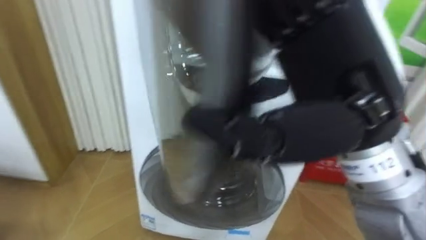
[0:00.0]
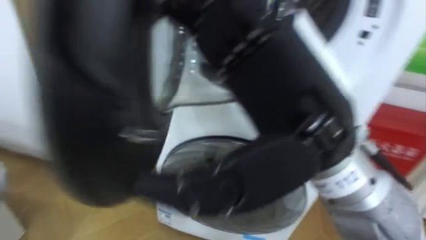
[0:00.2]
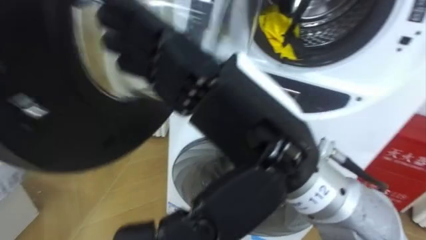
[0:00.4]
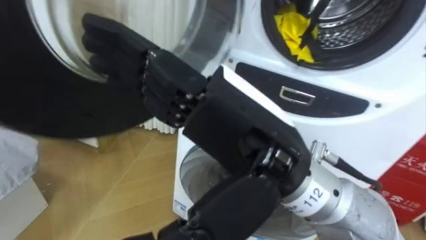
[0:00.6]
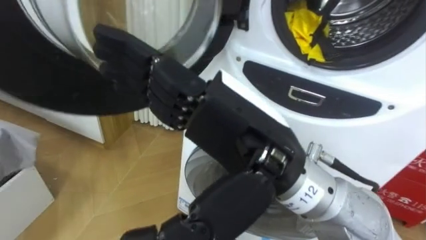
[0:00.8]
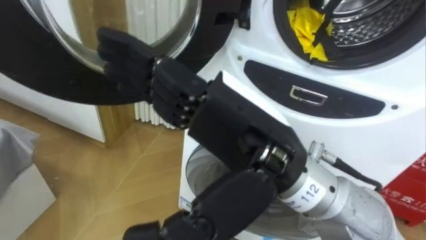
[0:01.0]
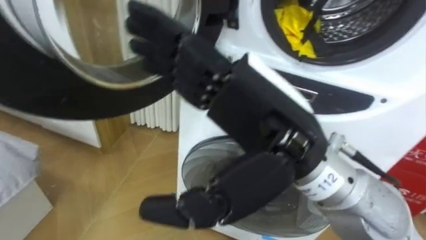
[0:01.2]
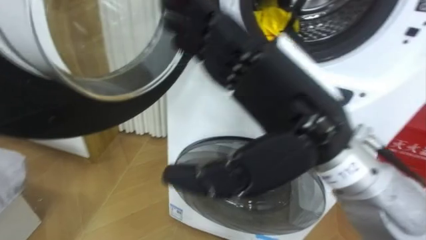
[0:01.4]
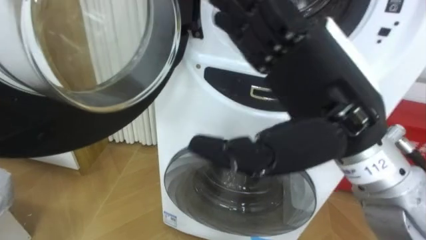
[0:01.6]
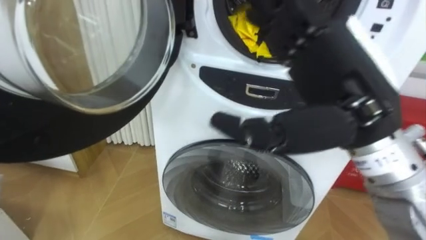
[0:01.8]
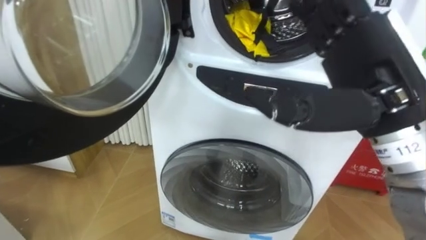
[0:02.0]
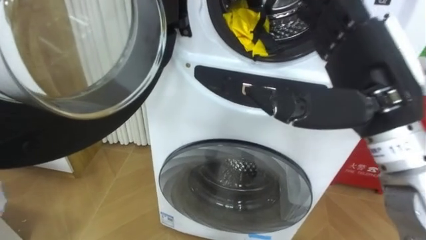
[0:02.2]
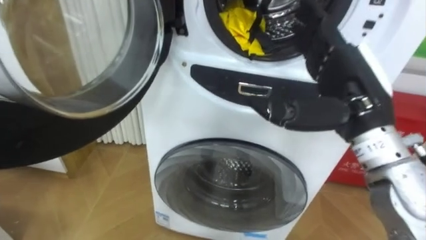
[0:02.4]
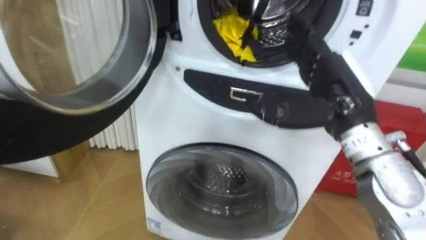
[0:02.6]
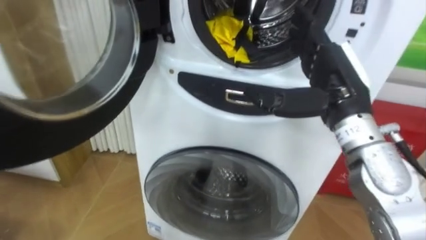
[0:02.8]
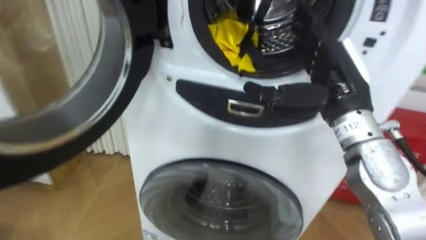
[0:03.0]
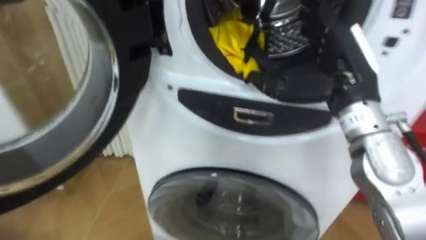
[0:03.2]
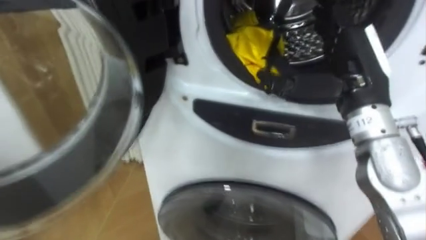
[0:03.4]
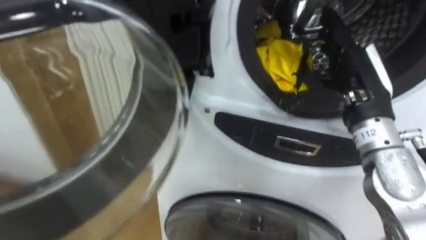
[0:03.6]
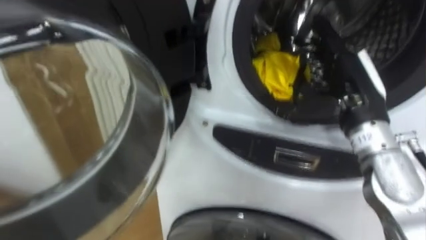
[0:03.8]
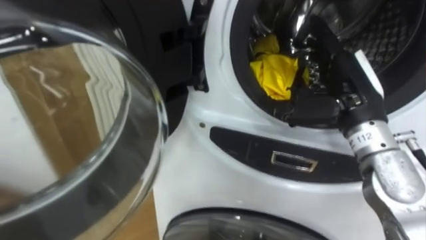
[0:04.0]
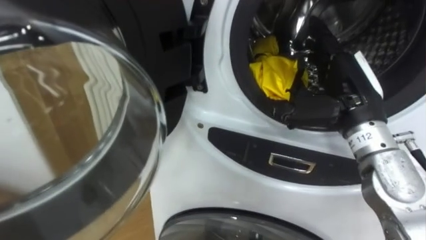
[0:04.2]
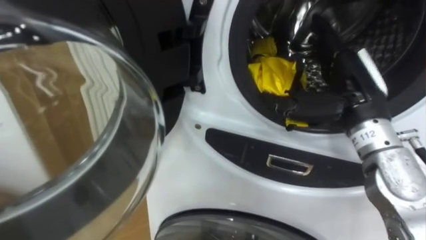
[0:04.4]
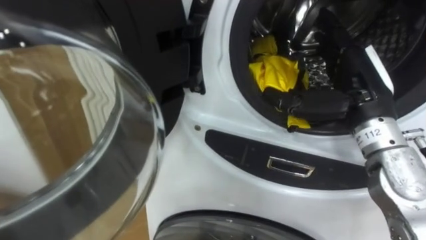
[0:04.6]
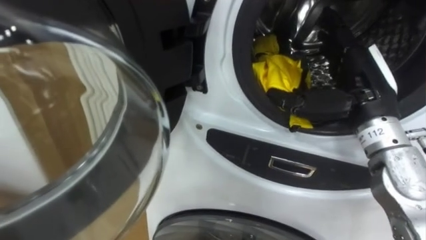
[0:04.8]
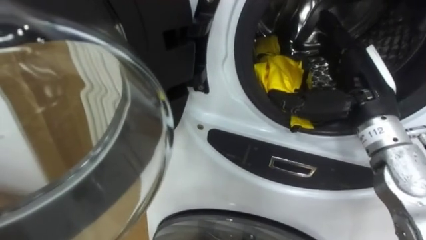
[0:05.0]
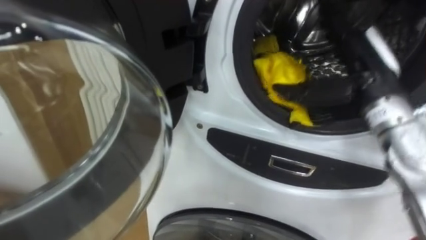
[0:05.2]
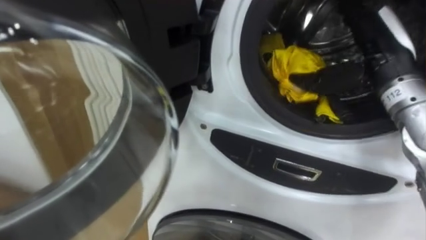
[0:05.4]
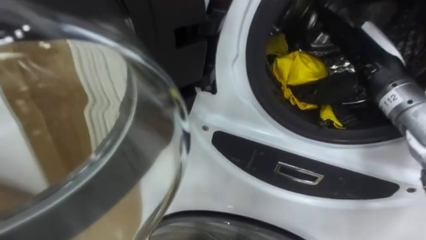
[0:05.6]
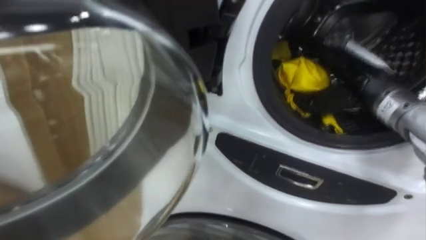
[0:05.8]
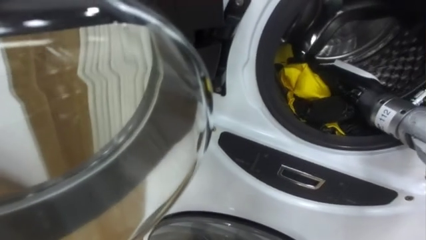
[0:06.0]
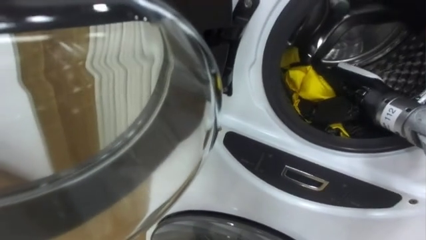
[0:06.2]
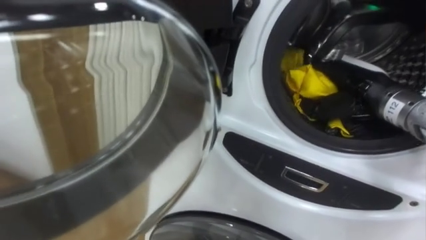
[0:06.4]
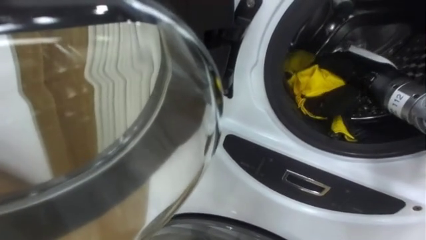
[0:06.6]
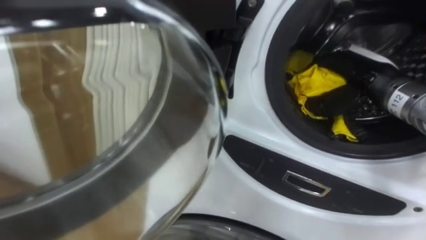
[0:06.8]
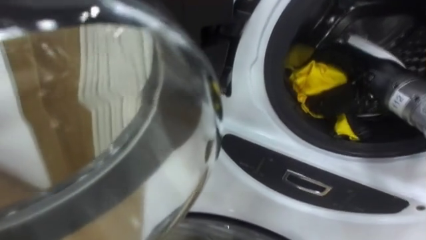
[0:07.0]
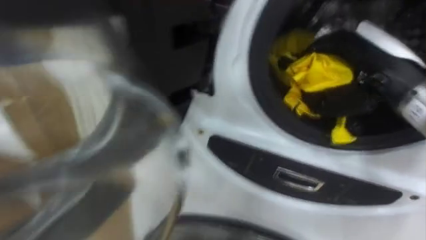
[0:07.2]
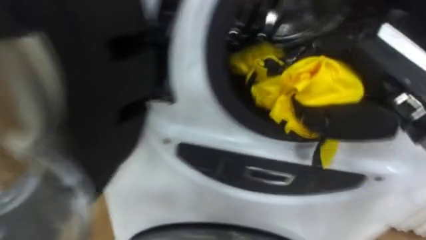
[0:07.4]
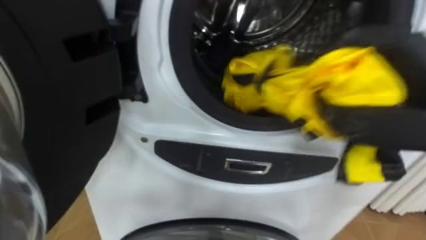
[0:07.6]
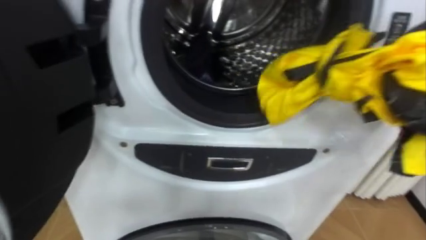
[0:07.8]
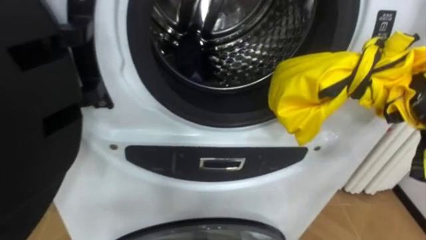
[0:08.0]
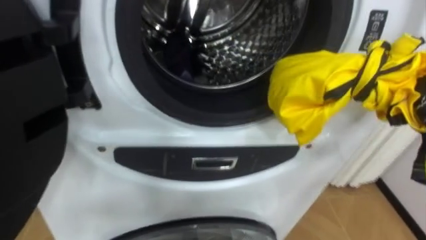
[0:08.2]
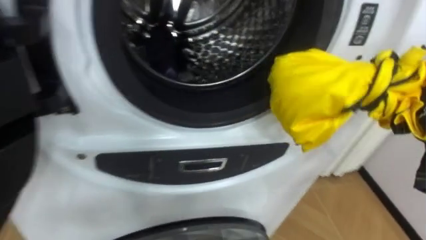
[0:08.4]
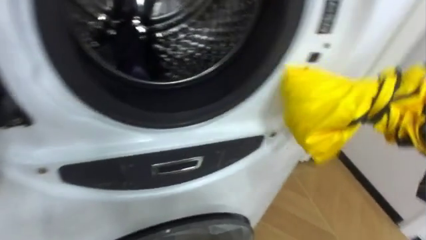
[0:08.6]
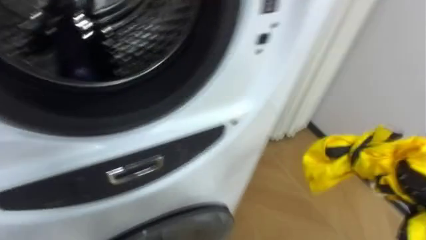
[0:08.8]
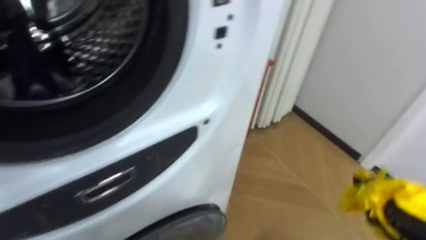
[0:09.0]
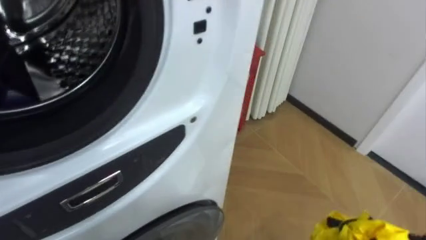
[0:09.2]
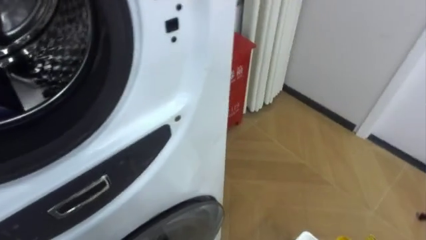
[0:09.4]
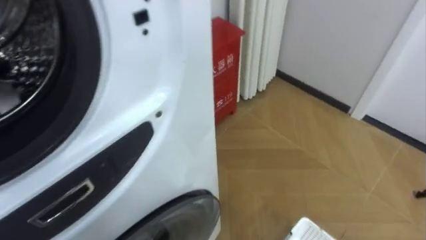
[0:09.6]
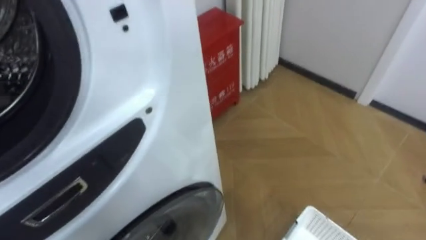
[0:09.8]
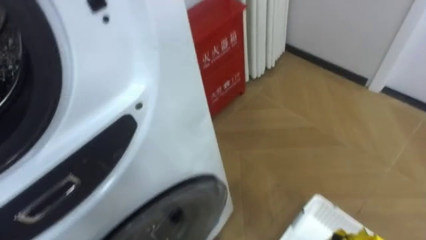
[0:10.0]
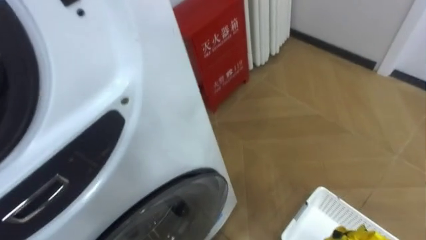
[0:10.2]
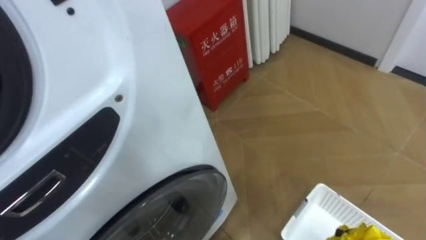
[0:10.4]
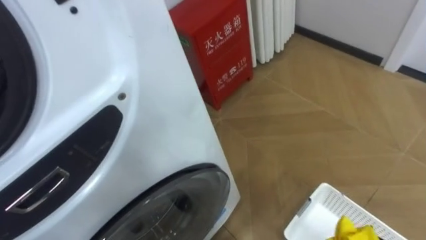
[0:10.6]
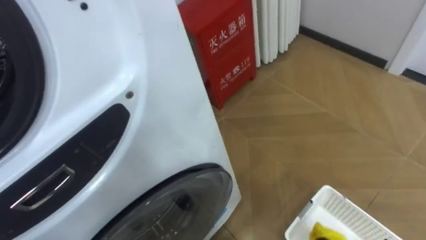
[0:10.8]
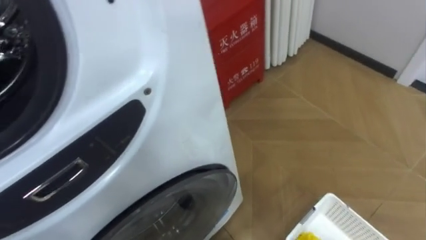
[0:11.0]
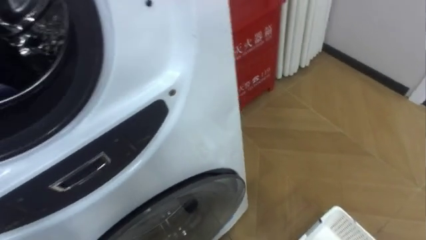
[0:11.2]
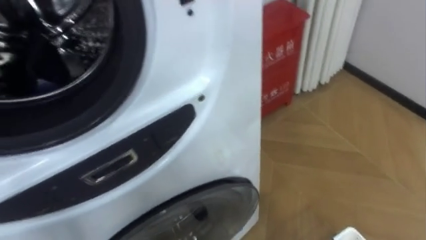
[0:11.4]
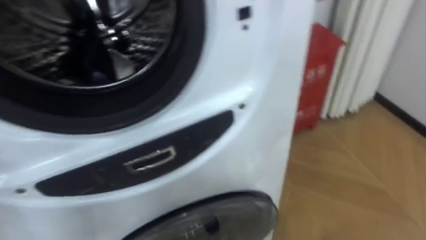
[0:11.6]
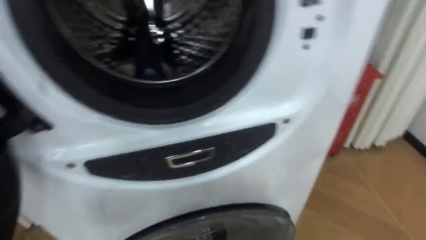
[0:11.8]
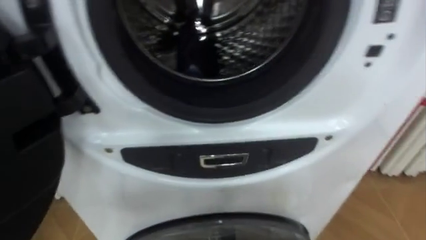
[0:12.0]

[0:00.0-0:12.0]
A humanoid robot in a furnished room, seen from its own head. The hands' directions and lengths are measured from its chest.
Task of the whole recording: Open the washing machine door, take out the yellow clothes, place them in the box on the right, and close the washing machine door.
0:00.0 to 0:01.6: The right hand travels to the left and back again, some 10 cm each way.
0:01.6 to 0:03.0: The right hand heads forward, to the right and downward, covering approximately 15 cm.
0:04.4 to 0:06.0: The right hand moves about 5 cm.
0:06.0 to 0:07.6: The right hand heads backward and upward, covering about 15 cm, and closes up.
0:07.6 to 0:09.0: The robot faces about 25 degrees further to its right.
0:10.4 to 0:12.0: The robot faces approximately 25 degrees further to its left.

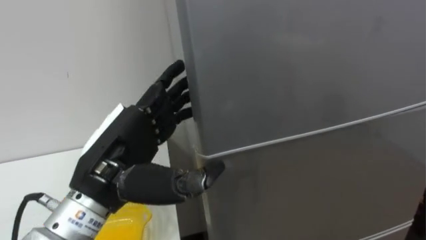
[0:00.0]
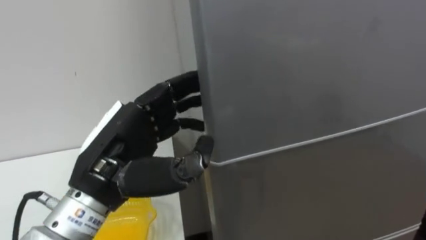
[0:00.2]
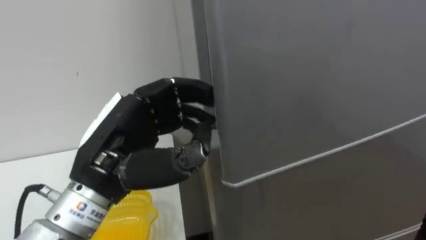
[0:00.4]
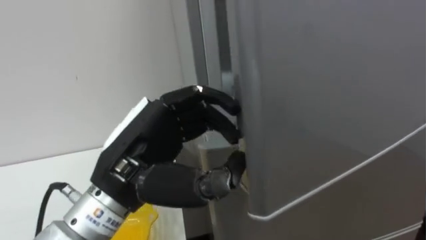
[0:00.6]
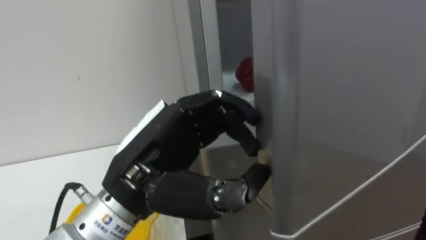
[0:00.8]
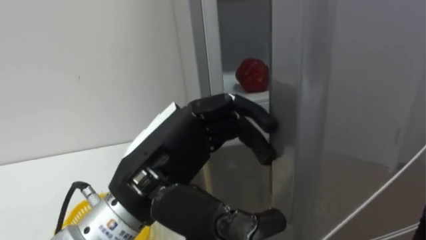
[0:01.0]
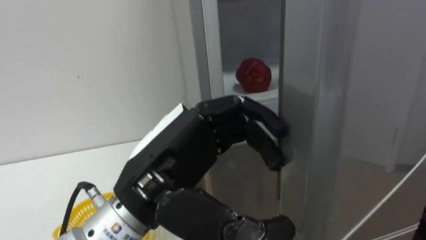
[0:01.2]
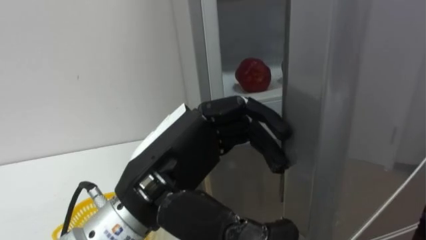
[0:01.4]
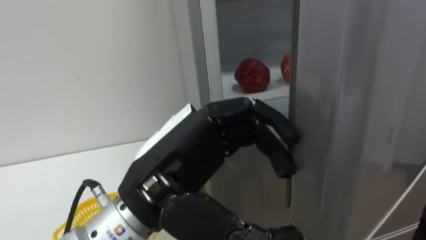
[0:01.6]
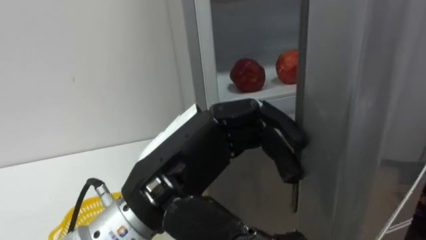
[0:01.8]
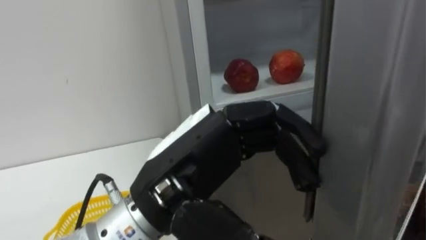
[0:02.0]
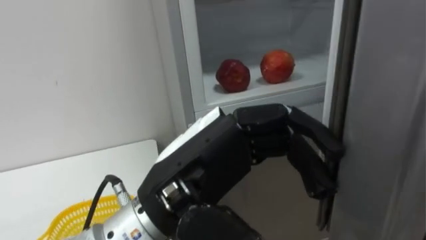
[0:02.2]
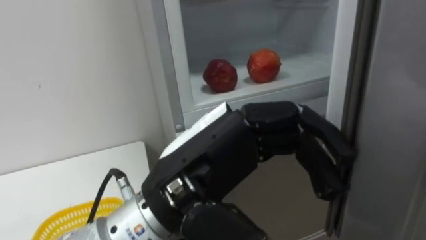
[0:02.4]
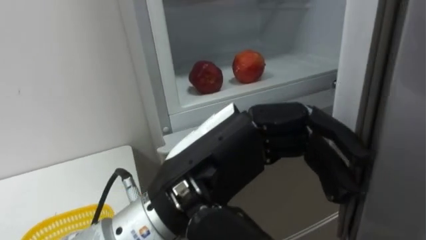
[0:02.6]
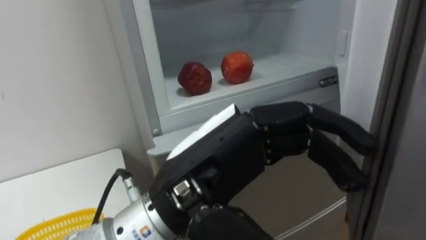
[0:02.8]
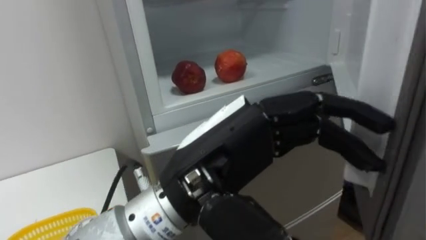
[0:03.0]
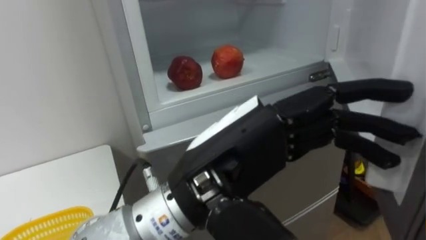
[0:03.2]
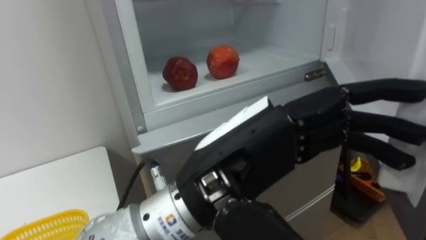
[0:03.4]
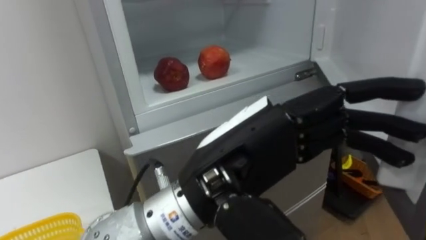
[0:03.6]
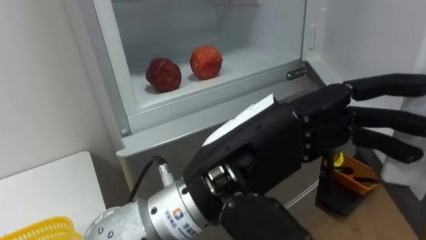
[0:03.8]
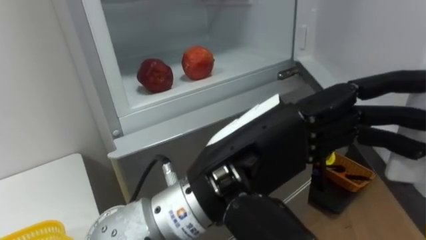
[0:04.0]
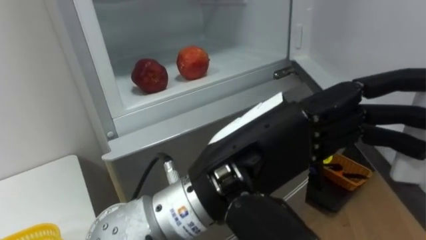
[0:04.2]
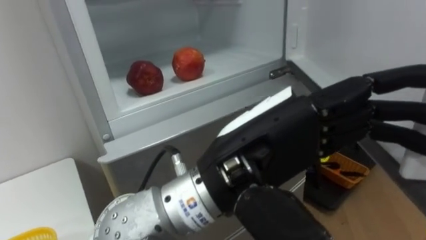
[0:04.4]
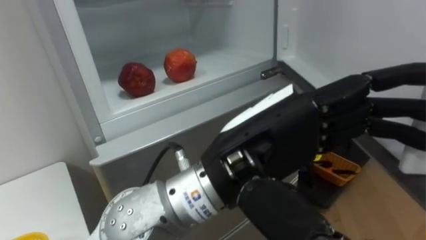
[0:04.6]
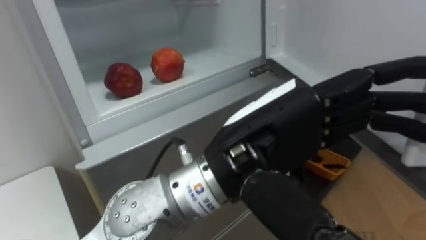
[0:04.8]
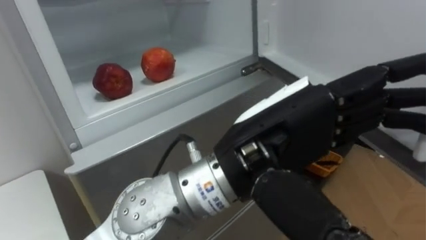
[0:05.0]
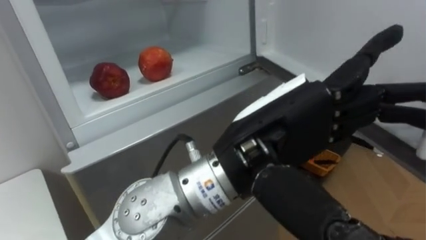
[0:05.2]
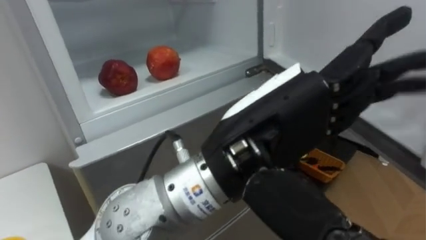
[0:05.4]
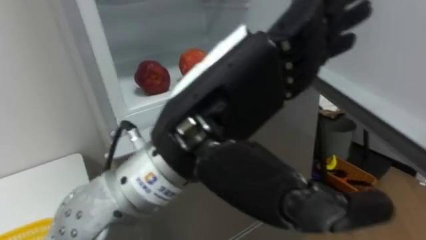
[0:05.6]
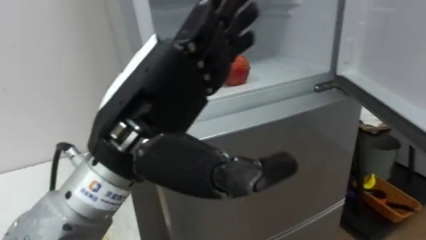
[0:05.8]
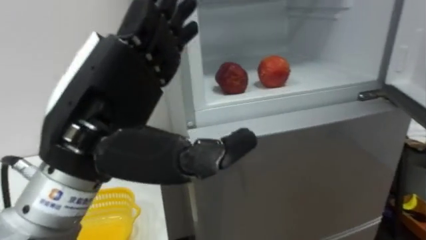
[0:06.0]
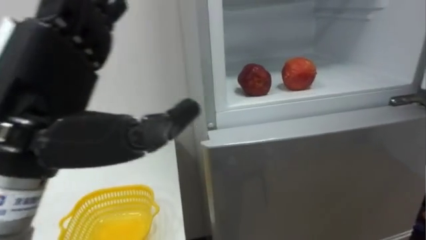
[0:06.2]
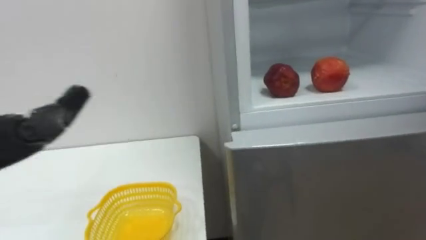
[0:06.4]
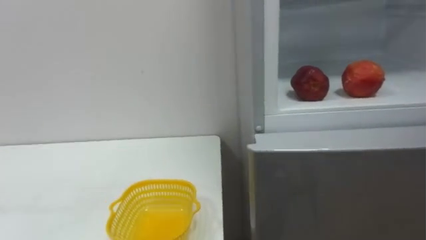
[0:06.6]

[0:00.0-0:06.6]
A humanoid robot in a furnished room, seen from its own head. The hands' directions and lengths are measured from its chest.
Task of the whole recording: Open the refrigerator door, take out the apple and the pomegranate, place them in the fruit basket on the left, and close the refrigerator door.
0:00.0 to 0:01.6: The left hand shifts about 5 cm to the right, and closes and opens again.
0:01.6 to 0:03.2: The left hand travels to the right by some 5 cm.
